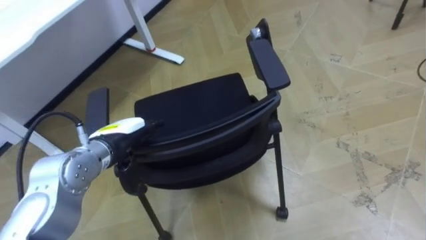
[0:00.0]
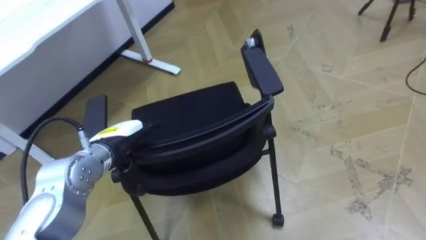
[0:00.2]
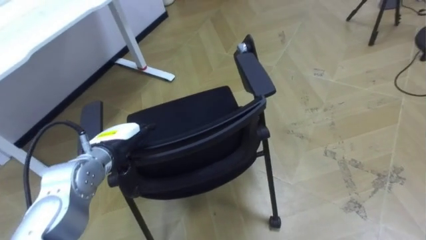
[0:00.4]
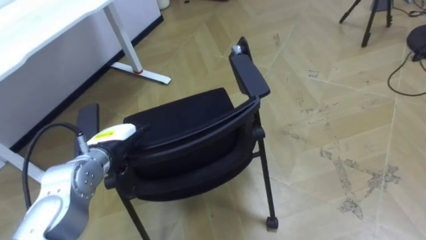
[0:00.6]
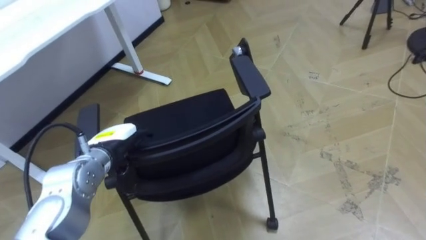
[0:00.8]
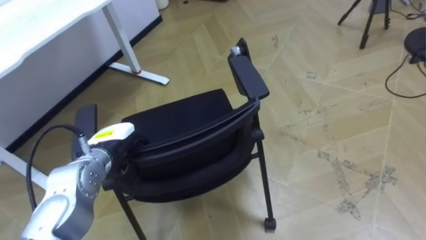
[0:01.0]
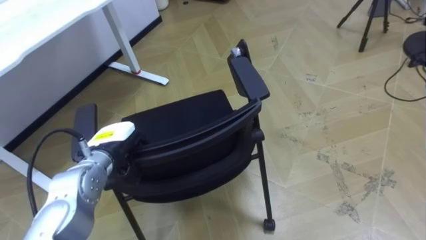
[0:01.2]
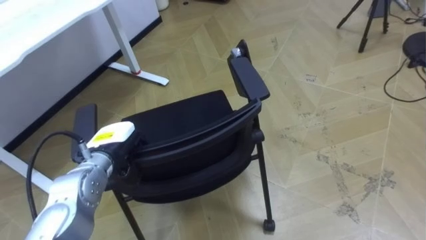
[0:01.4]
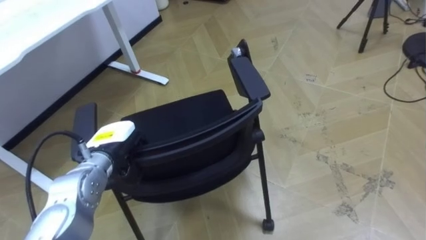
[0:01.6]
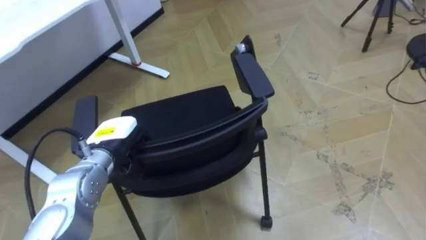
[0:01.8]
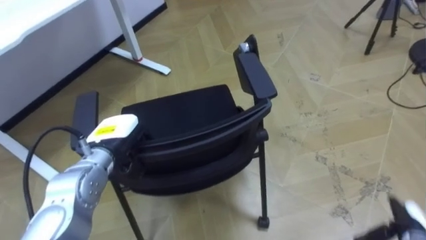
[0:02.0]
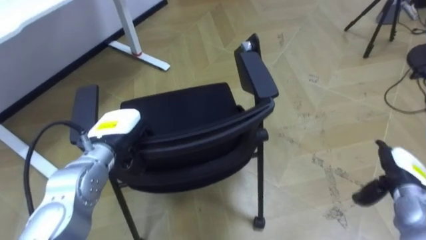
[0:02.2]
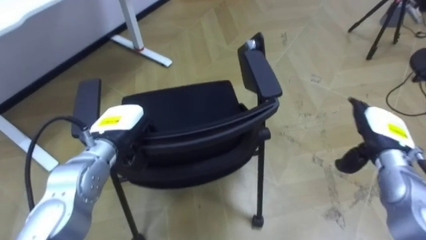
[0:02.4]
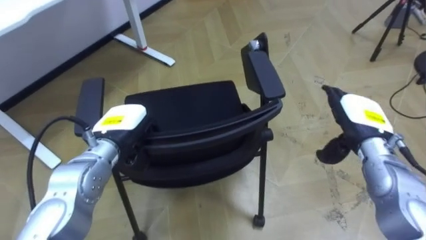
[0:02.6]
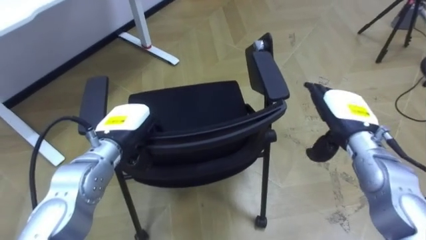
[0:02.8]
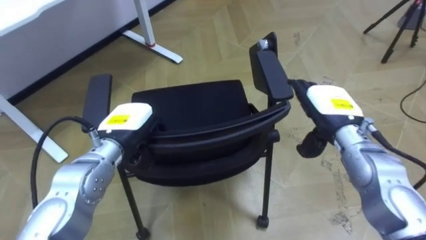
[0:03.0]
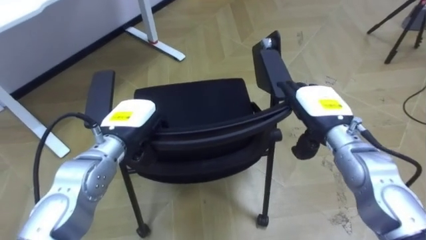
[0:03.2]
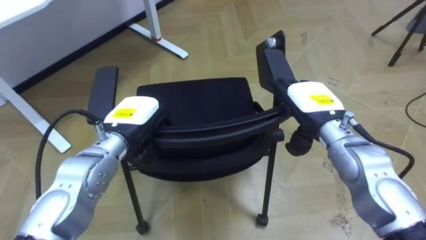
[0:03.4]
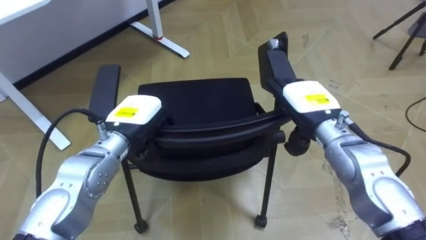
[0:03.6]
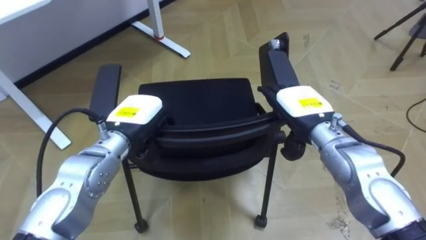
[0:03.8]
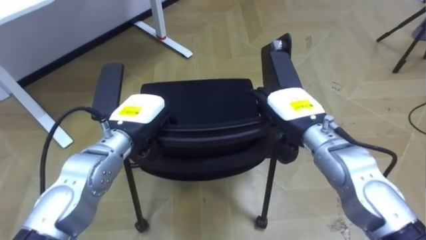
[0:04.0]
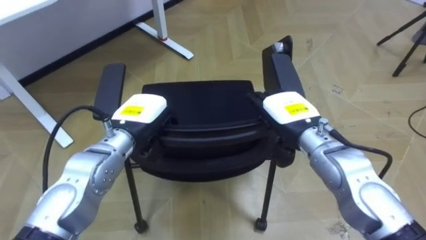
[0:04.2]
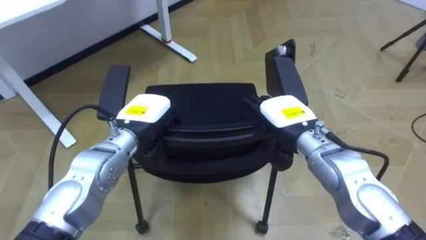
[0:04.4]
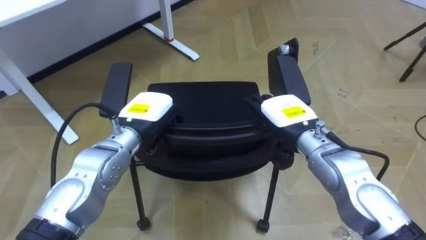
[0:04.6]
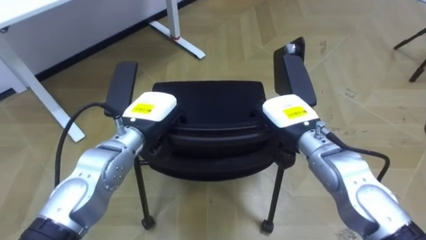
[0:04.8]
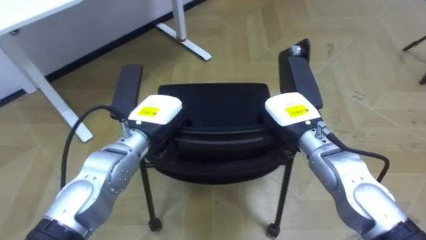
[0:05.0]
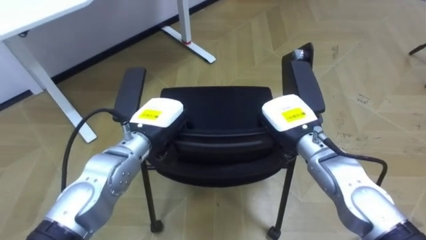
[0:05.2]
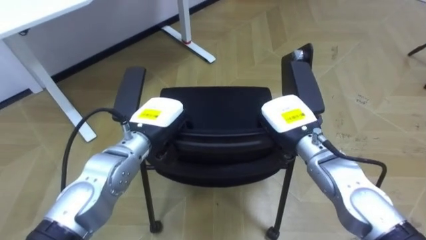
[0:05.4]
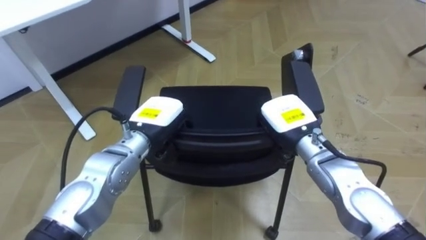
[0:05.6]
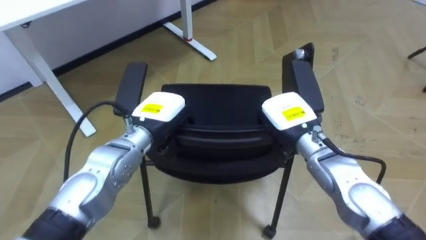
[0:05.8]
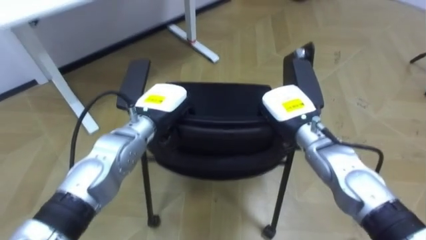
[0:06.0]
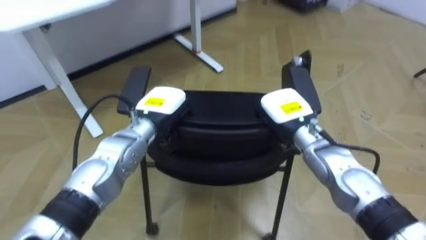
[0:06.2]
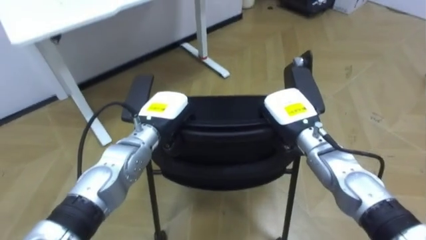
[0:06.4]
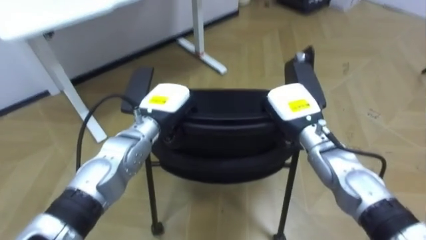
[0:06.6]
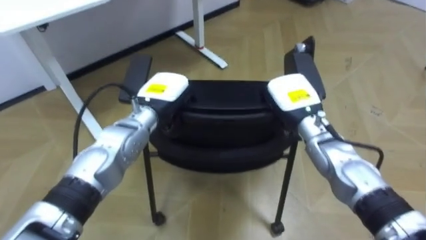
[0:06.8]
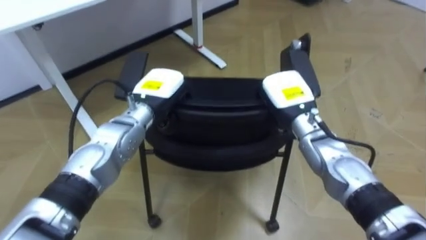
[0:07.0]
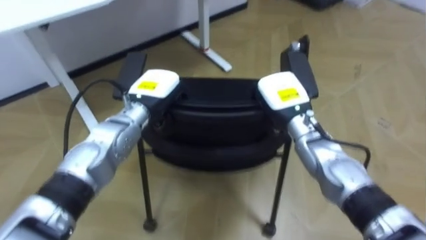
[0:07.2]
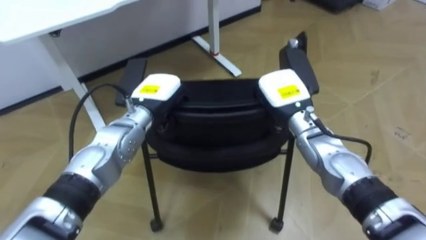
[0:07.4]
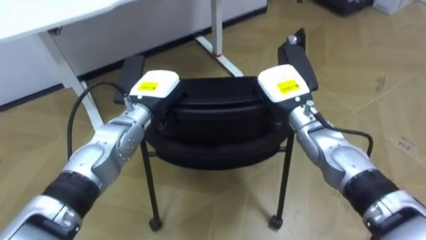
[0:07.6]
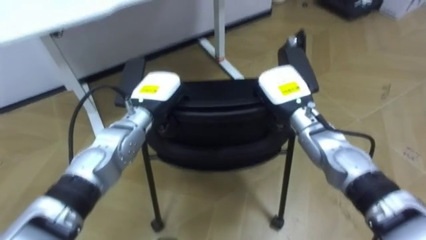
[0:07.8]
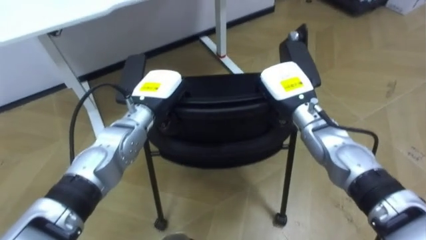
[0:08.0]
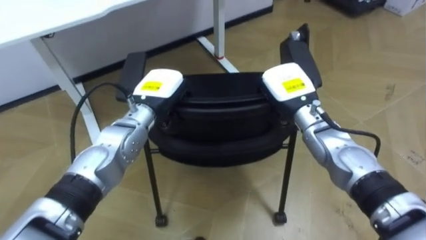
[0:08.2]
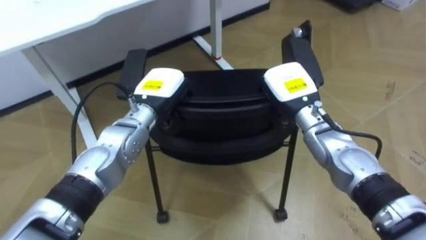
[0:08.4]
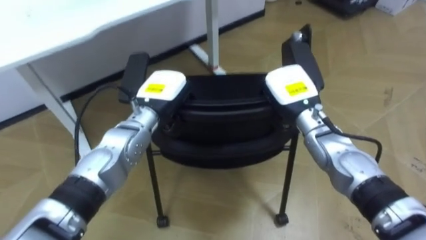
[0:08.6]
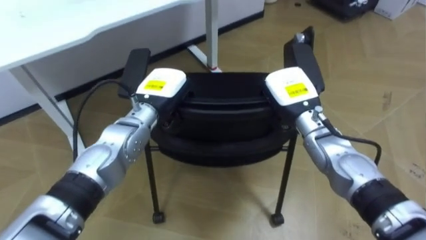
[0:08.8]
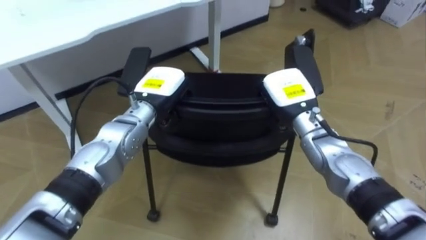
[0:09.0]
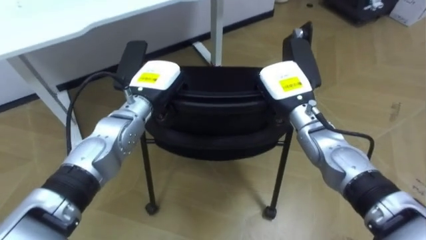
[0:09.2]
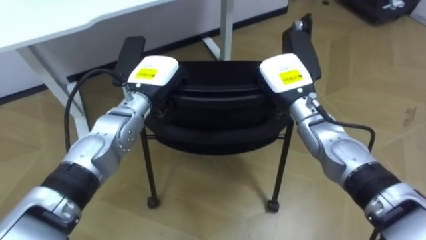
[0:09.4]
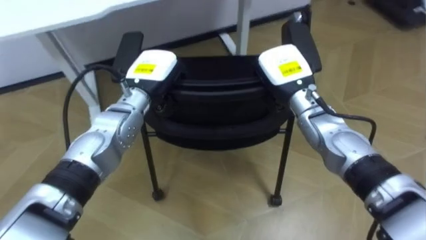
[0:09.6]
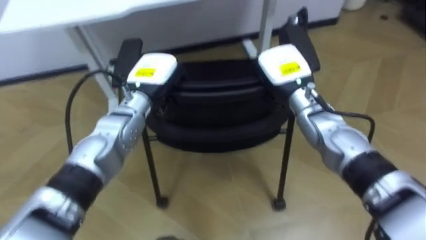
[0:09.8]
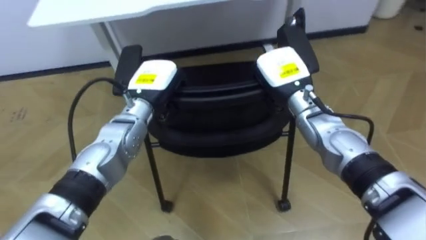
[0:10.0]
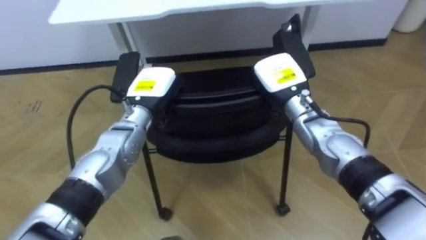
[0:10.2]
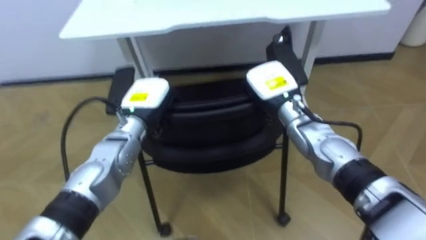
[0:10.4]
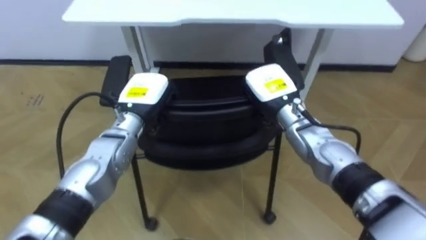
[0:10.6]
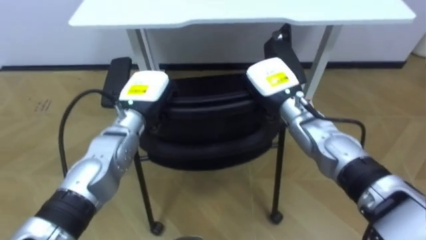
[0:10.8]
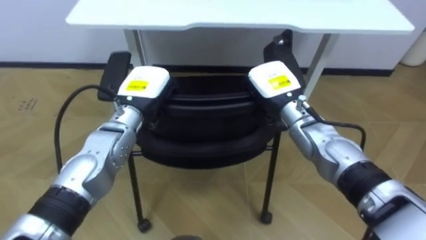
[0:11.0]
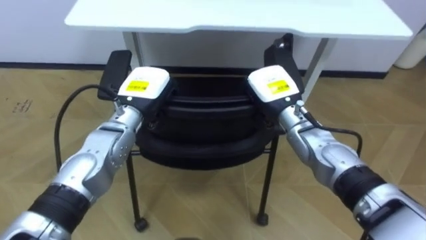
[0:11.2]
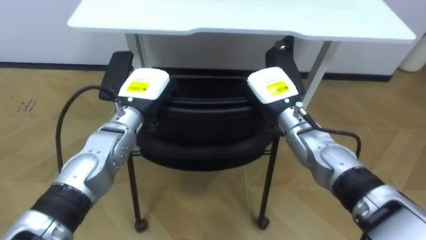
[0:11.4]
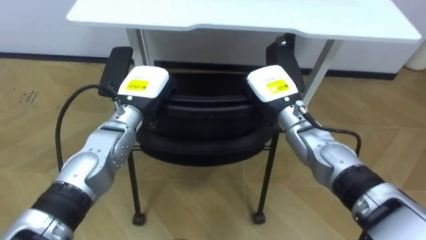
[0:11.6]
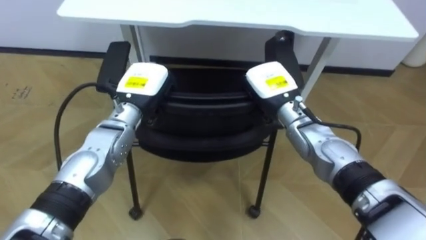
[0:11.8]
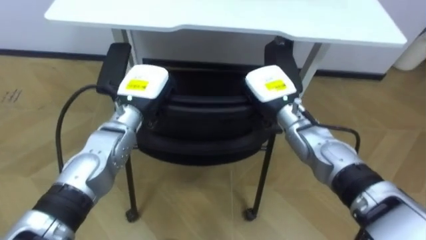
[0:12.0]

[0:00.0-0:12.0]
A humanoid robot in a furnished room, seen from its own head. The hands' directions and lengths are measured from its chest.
Task of the whole recording: Push the chair under the table.
0:00.0 to 0:01.6: The left hand closes up.
0:01.6 to 0:03.0: The left hand shifts by about 5 cm.
0:03.0 to 0:04.4: The right hand heads to the left, covering about 10 cm.
0:04.4 to 0:06.0: The right hand closes its fingers.
0:09.0 to 0:10.4: The robot rotates approximately 20 degrees to its left.

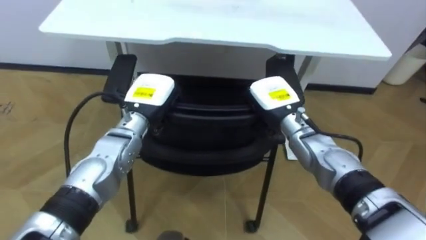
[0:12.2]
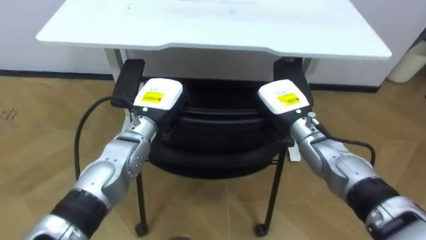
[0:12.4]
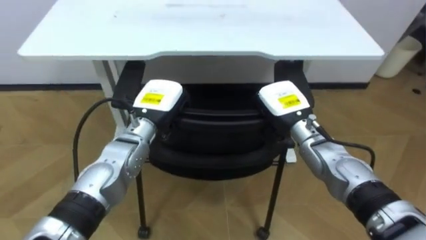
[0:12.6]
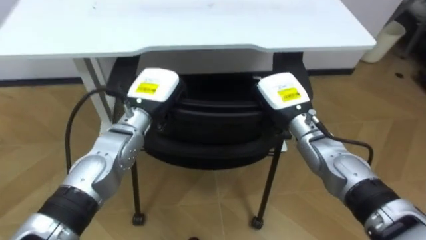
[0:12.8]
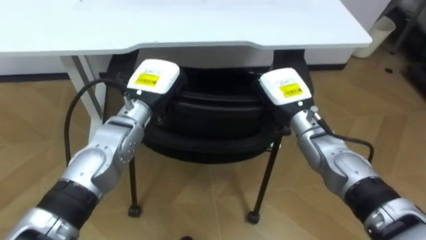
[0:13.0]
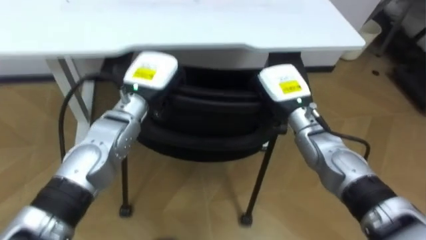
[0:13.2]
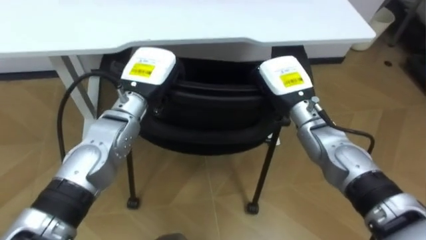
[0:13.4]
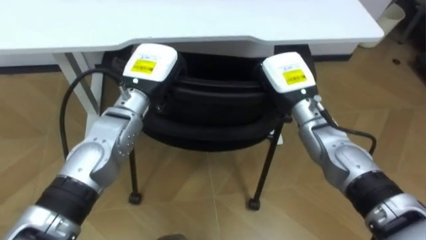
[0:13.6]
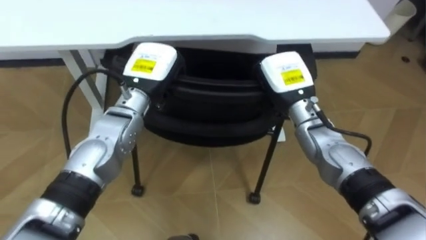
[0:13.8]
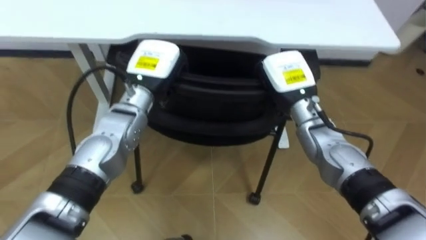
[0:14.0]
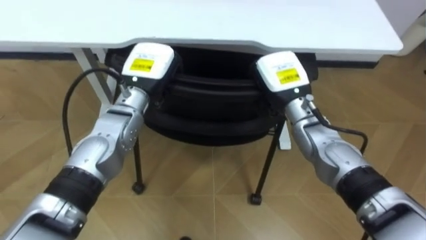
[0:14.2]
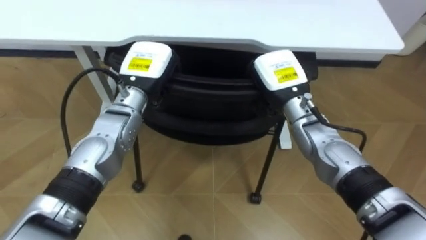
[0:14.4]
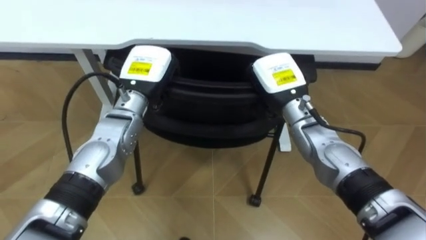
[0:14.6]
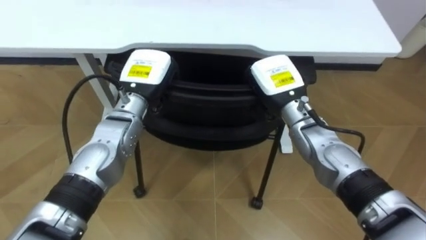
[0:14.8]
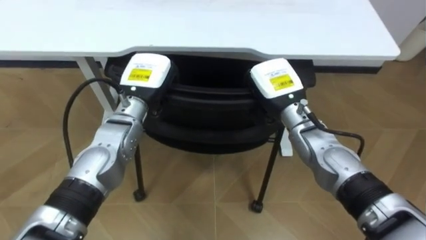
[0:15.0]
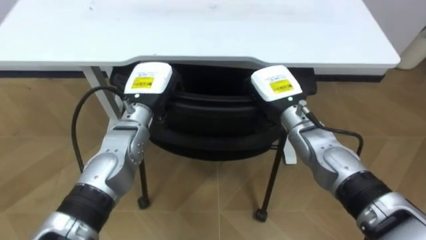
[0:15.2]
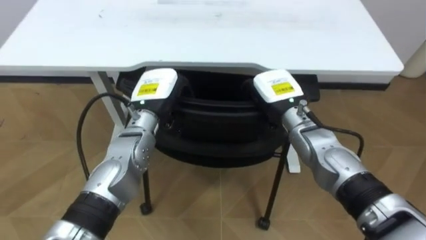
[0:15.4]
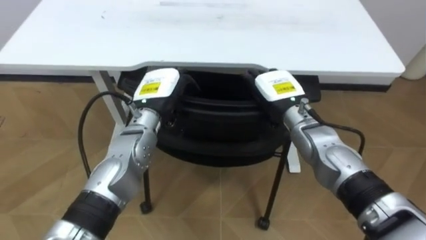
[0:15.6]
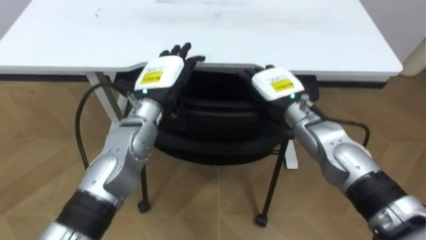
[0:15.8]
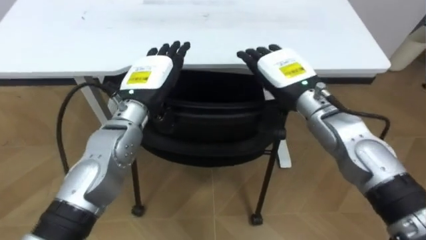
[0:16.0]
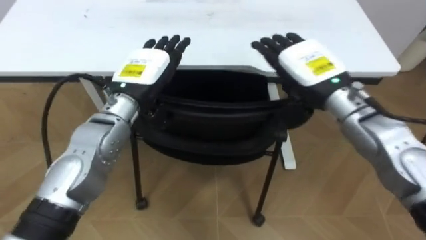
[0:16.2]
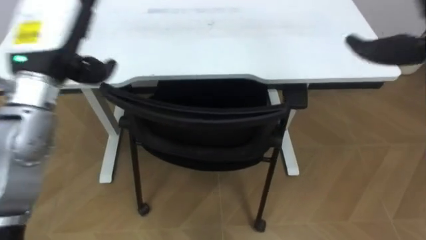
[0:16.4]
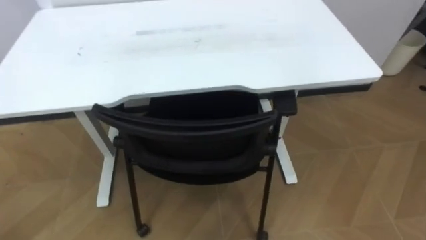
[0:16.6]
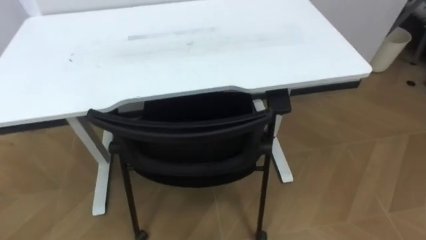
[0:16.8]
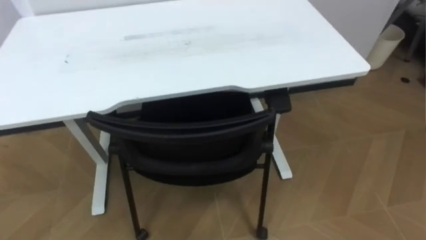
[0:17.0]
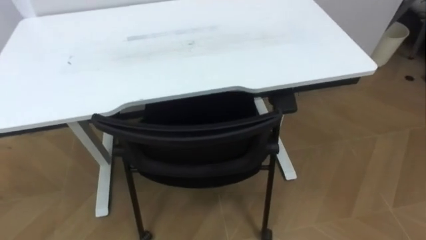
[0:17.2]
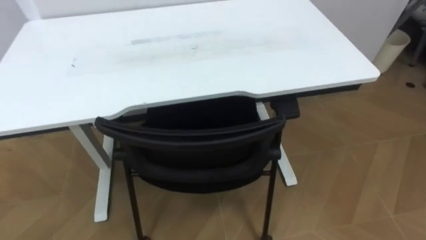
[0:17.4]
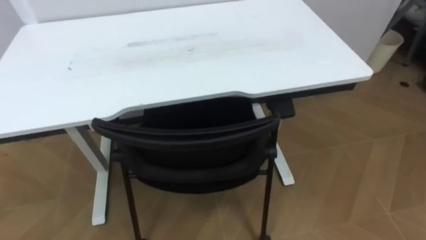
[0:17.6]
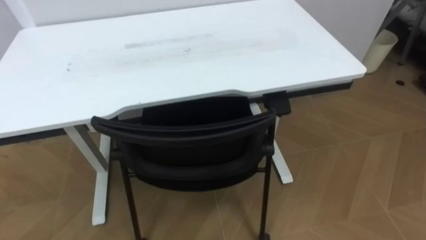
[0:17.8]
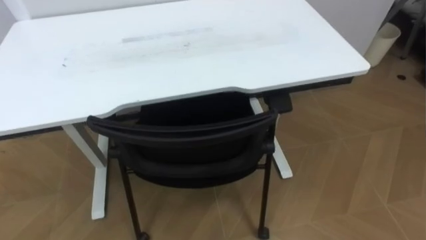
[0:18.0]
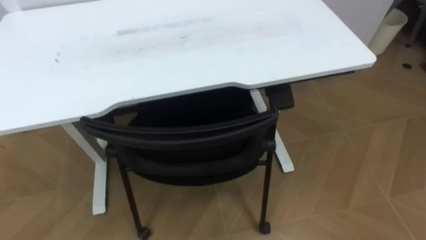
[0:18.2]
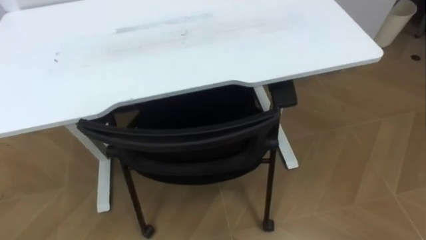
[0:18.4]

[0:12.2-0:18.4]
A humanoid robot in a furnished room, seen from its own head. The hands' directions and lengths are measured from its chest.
Task of the whole recording: Push the chair under the table.
0:12.2 to 0:13.8: The right hand moves roughly 5 cm. Meanwhile the left hand shifts approximately 5 cm upward.
0:13.8 to 0:15.4: The left hand opens its fingers; the right hand opens.
